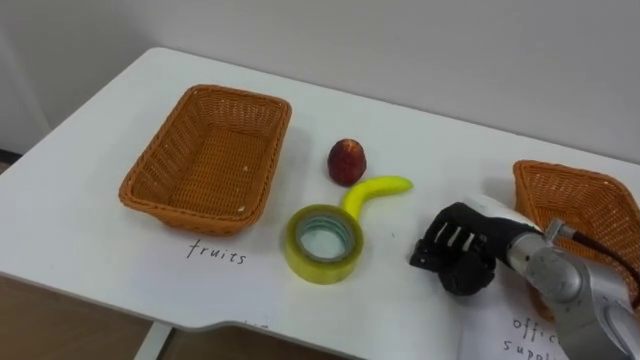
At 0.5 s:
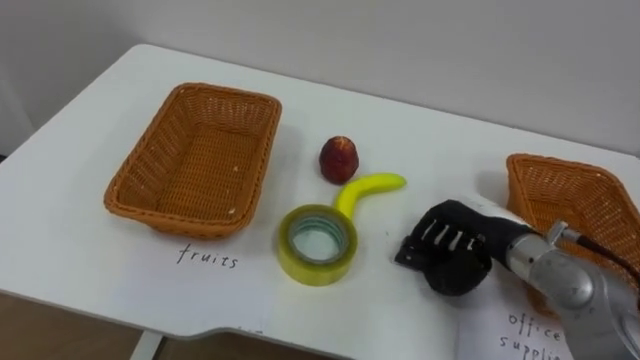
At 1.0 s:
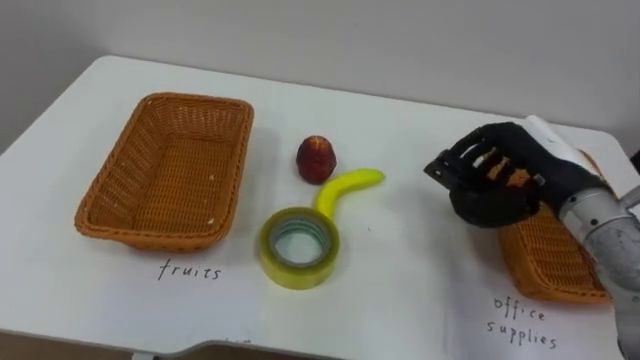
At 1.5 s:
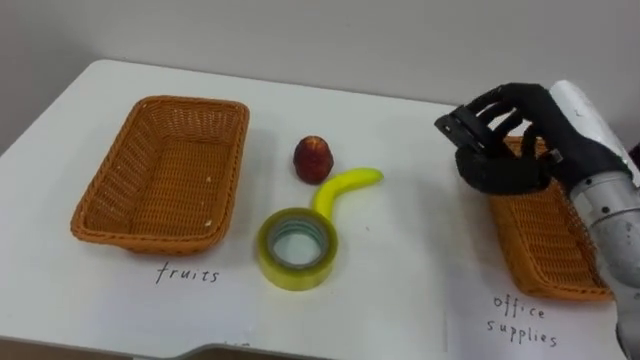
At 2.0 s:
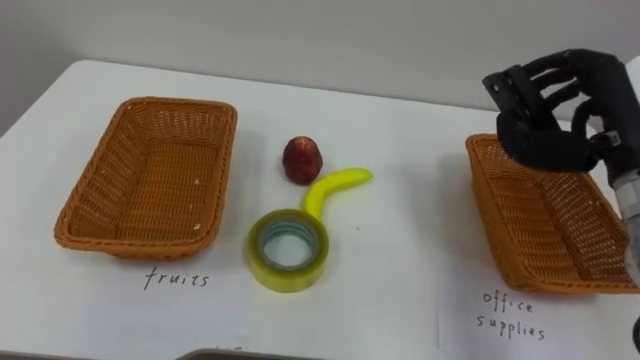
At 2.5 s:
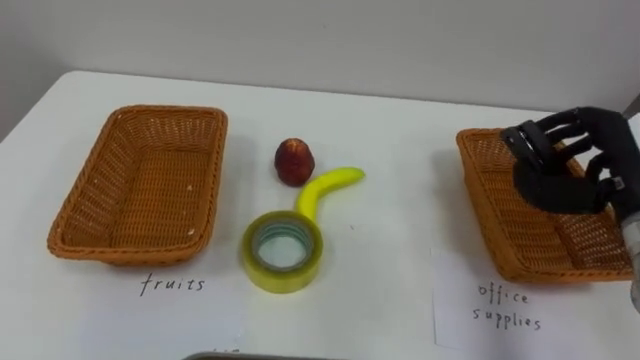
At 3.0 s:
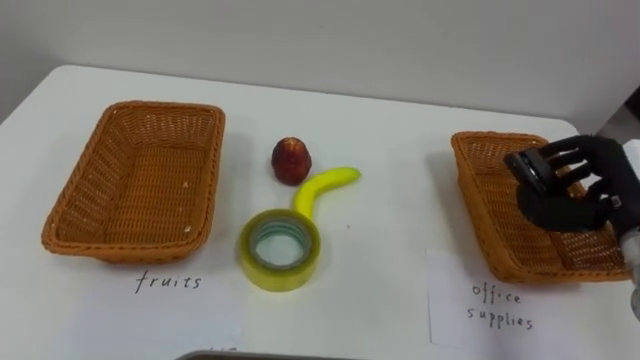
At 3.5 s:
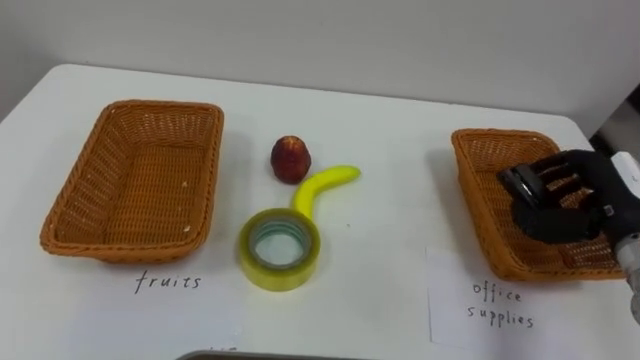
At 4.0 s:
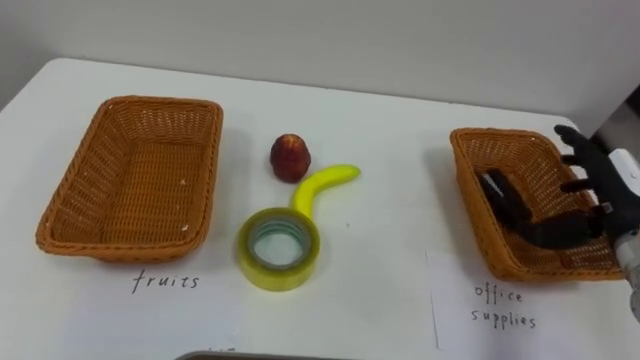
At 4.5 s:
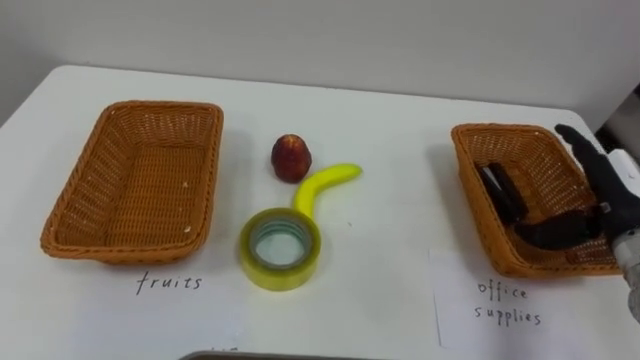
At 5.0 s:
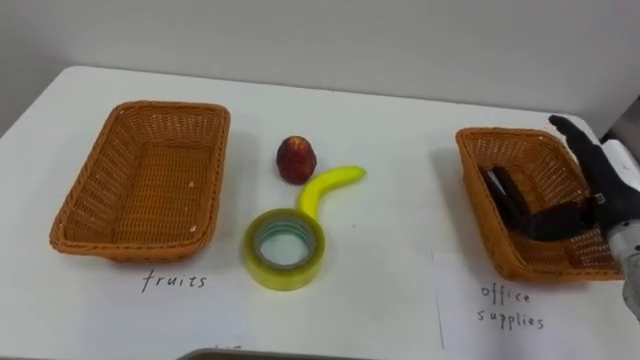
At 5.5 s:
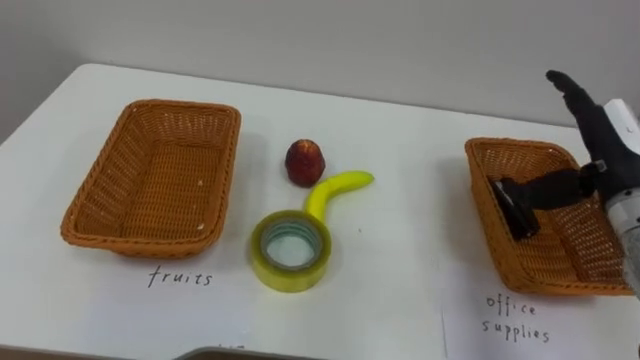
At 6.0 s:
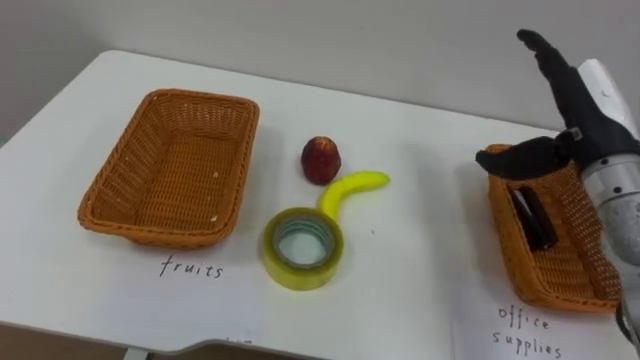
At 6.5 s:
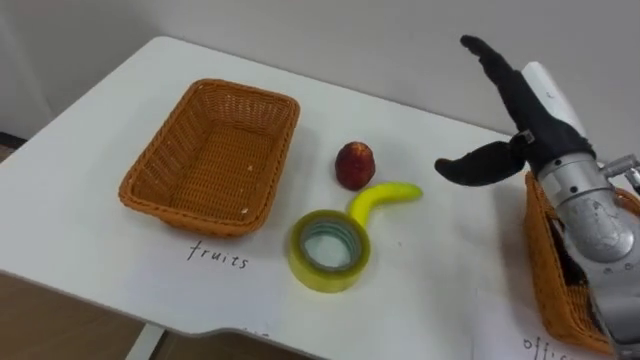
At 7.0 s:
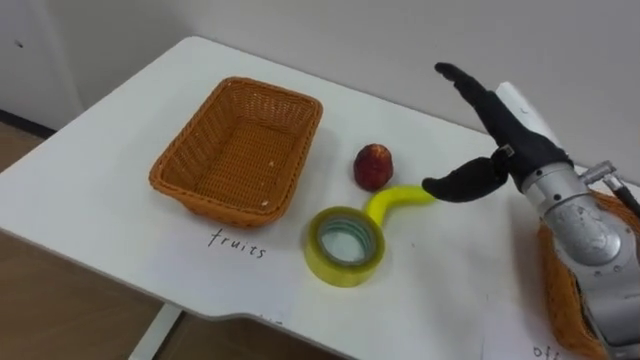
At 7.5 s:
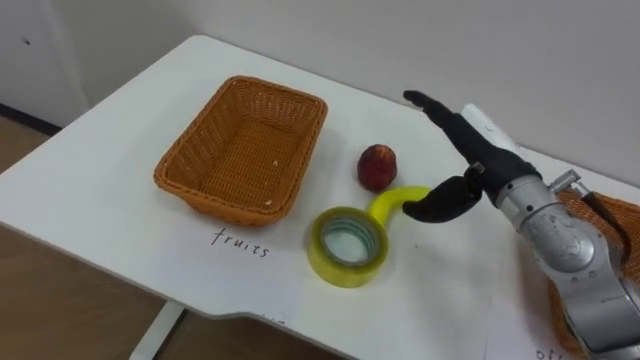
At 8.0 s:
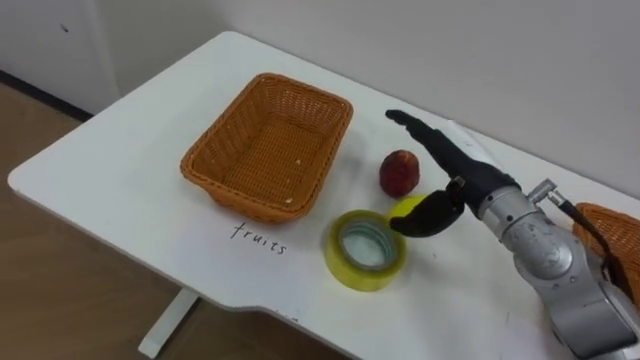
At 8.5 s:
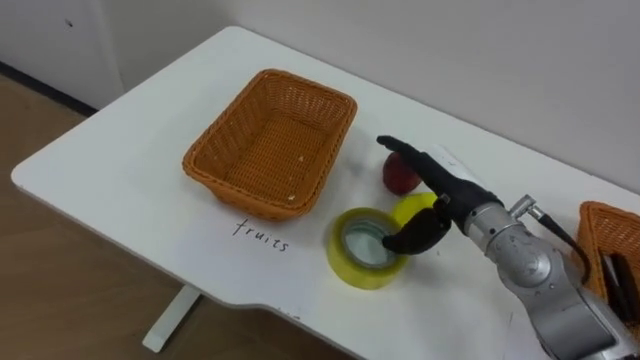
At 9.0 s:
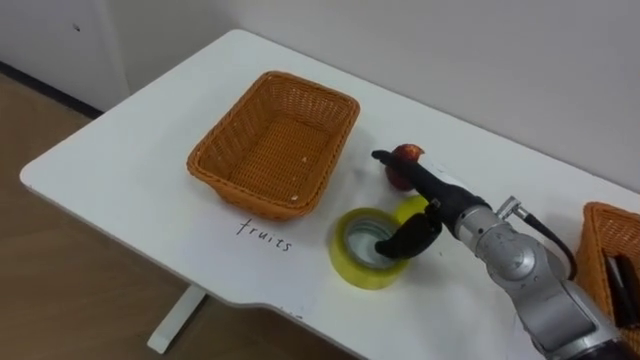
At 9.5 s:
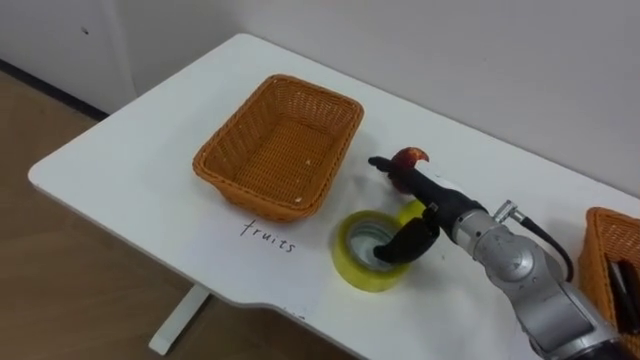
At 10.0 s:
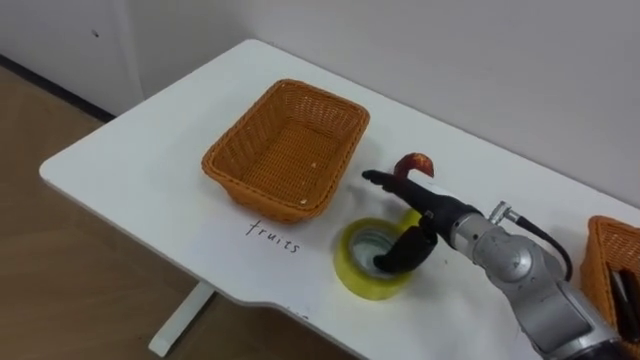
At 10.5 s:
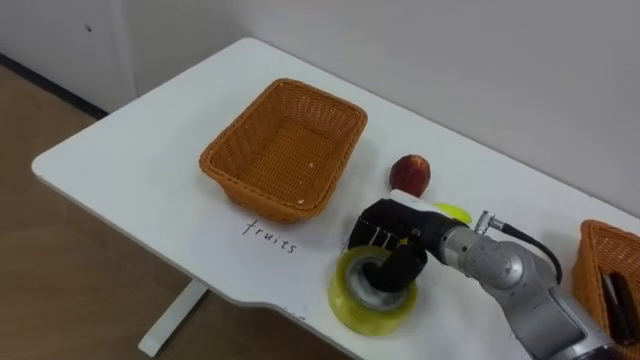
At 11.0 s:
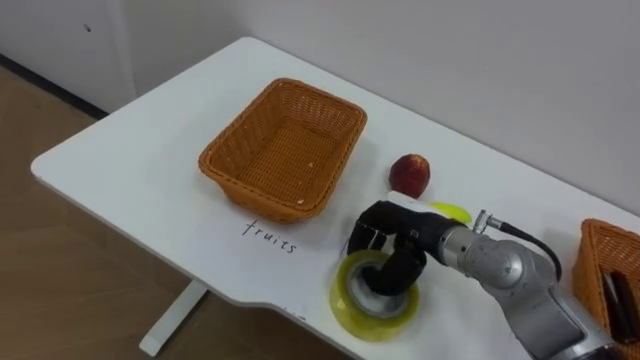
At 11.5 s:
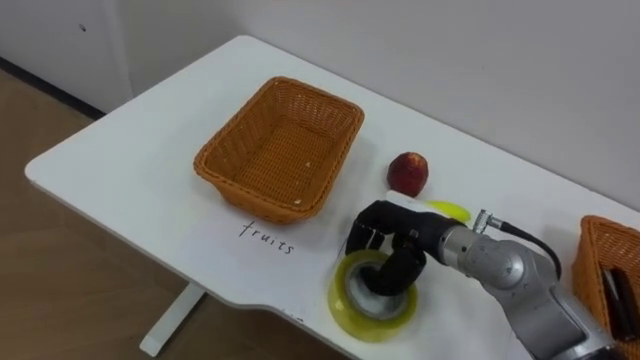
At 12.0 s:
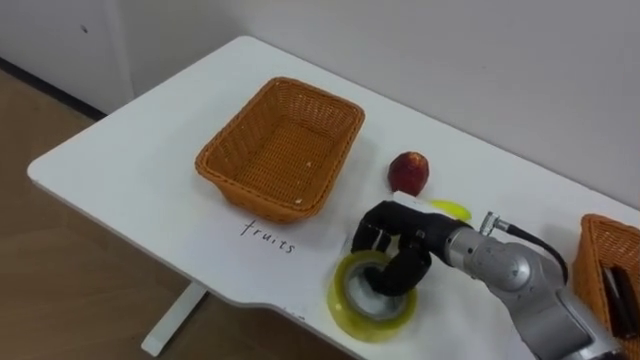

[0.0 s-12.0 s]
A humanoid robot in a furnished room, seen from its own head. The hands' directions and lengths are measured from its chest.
Task of the whole recording: Separate the items on the table and place them into the two baskets.
0.0 to 2.0 s: The right hand shifts approximately 20 cm upward and to the right.
2.0 to 4.0 s: The right hand moves downward, some 10 cm, and opens up.
4.0 to 6.0 s: The right hand goes roughly 10 cm upward and to the left.
6.0 to 8.0 s: The right hand heads to the left and downward, covering approximately 15 cm.
8.0 to 10.0 s: The right hand is displaced downward by approximately 5 cm.
10.0 to 12.0 s: The right hand closes its fingers.

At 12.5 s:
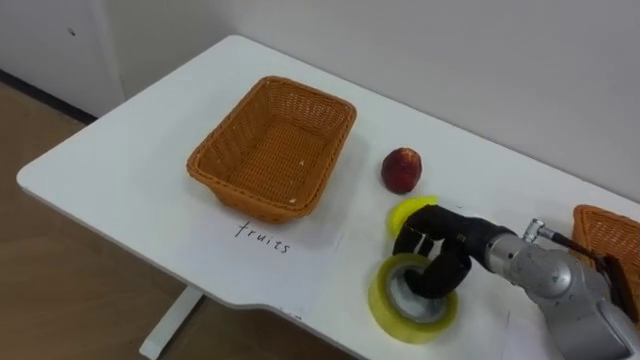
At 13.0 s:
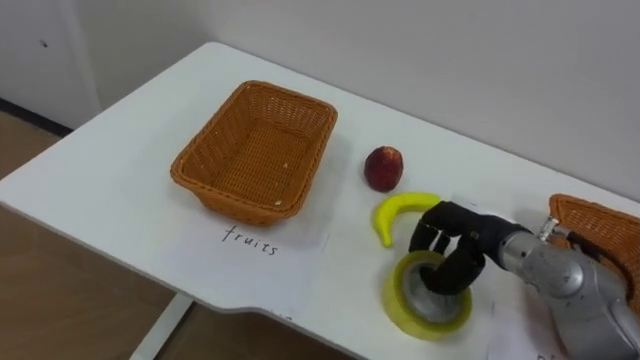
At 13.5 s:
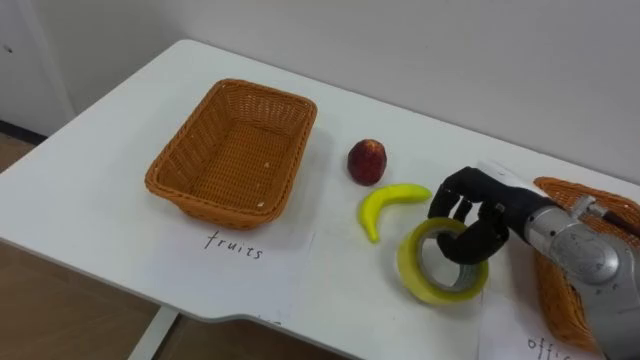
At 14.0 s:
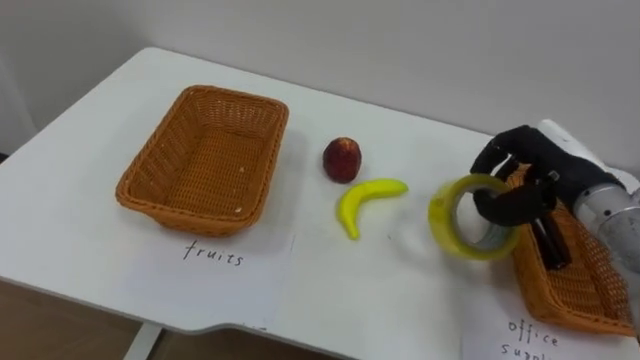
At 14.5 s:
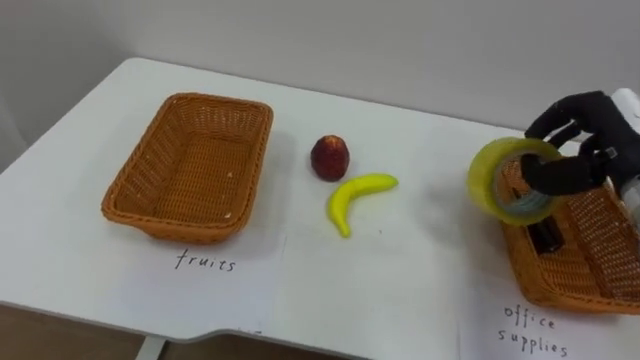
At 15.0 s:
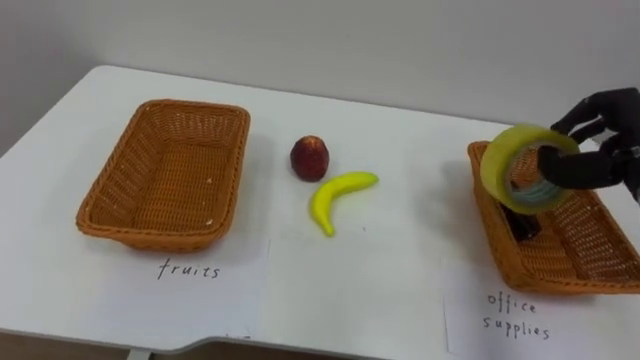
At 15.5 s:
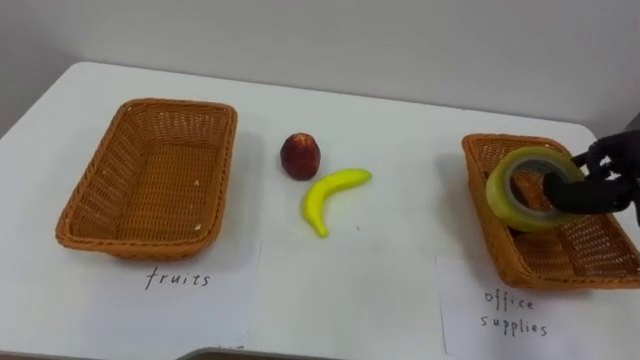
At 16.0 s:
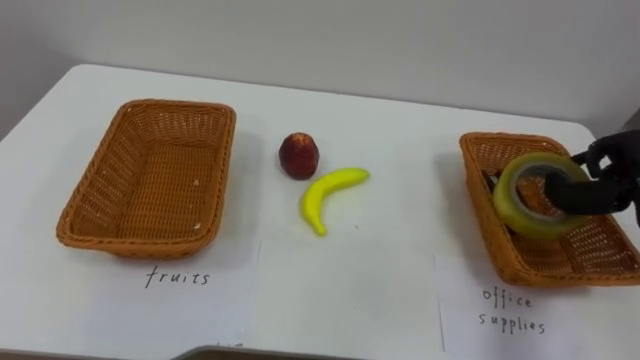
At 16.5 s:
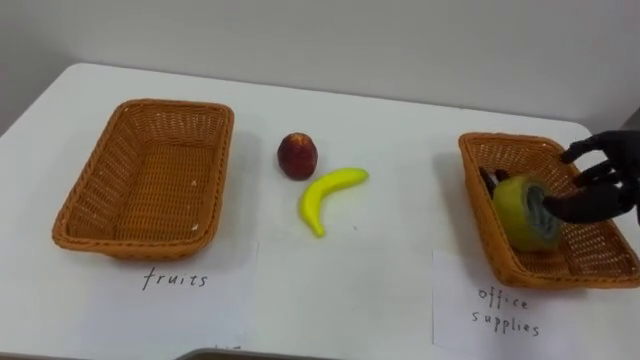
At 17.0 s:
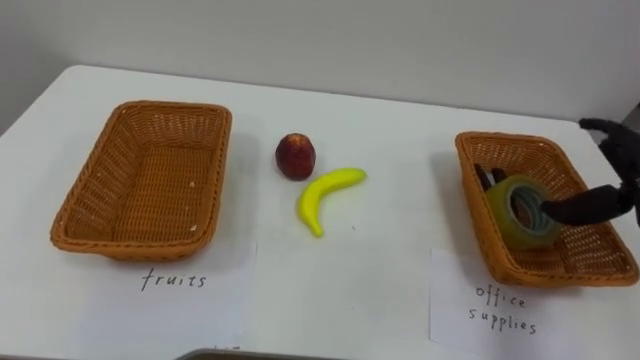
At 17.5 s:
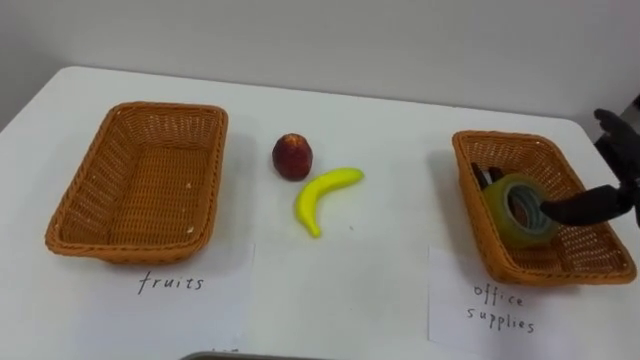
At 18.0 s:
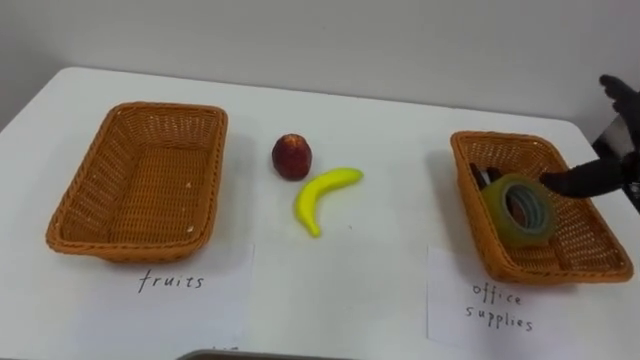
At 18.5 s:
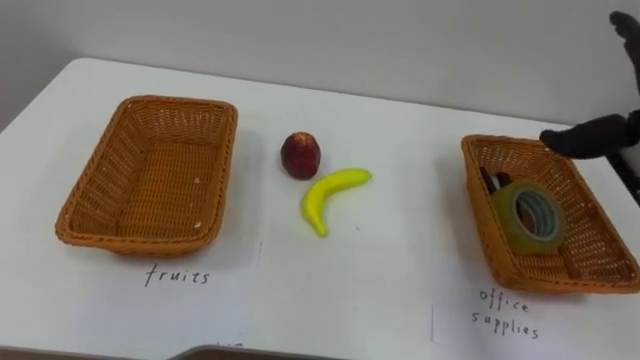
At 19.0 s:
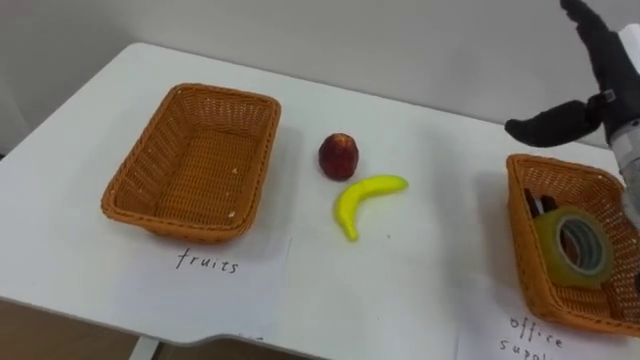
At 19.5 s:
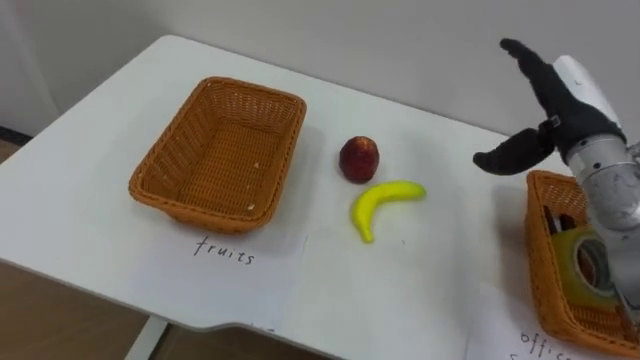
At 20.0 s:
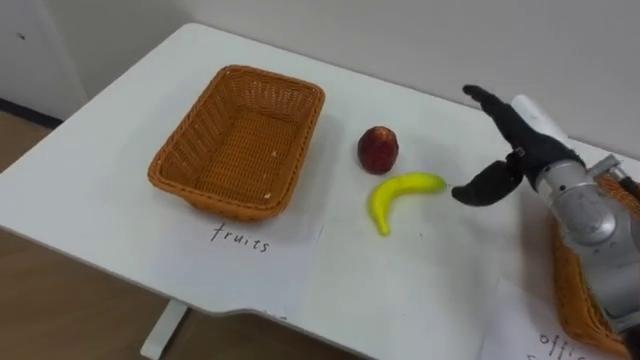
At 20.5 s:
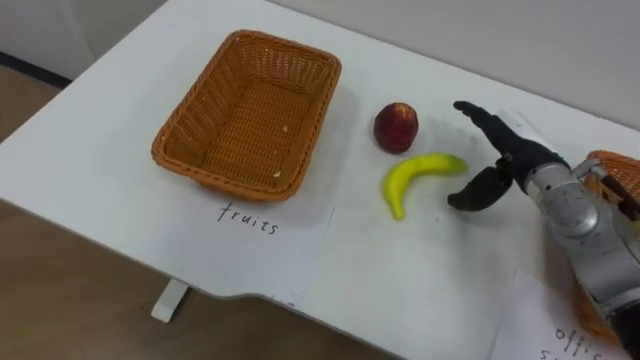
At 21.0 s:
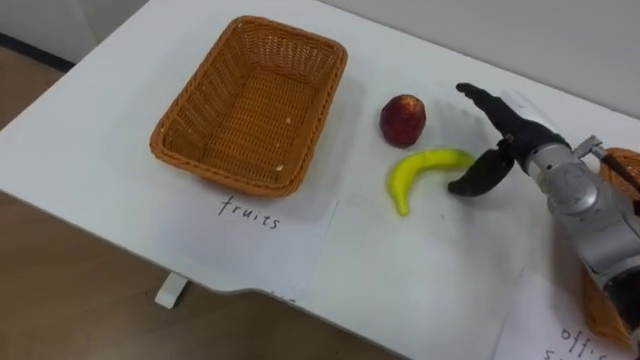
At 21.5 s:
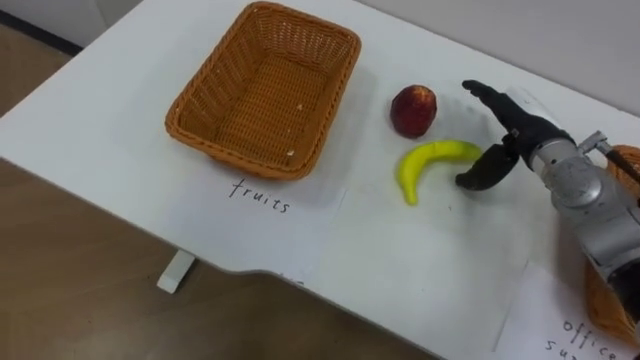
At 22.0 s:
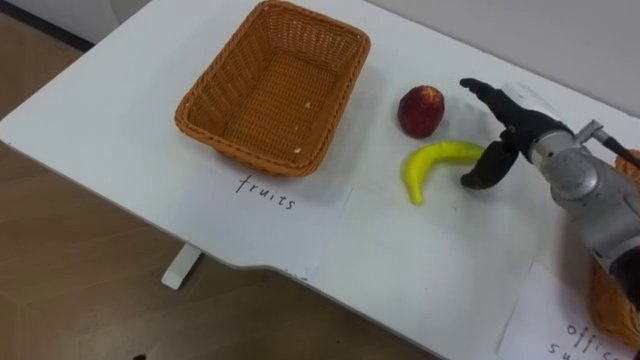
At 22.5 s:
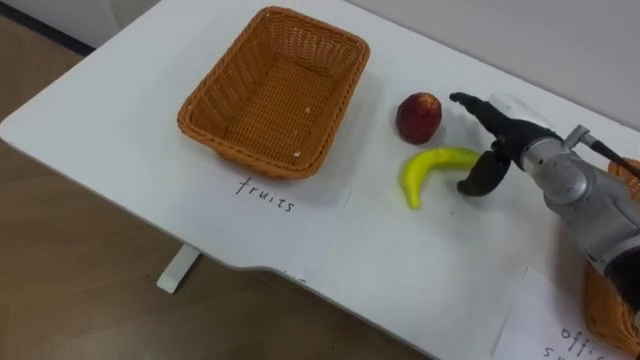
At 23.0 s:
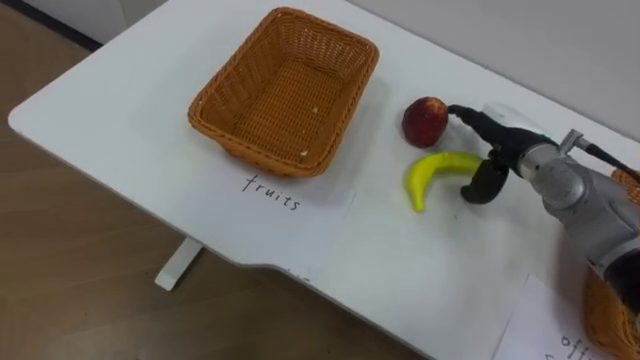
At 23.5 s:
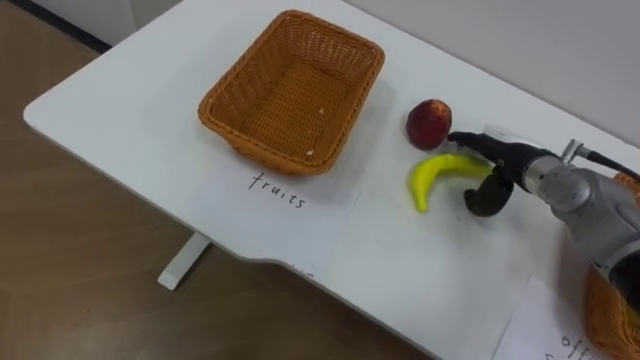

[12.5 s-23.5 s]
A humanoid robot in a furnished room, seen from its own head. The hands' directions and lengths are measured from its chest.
Task of the whole recording: Separate the items on the table and place them into the two baskets.
12.5 to 14.5 s: The right hand travels to the right and upward by approximately 20 cm.
